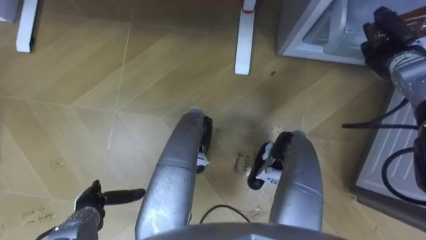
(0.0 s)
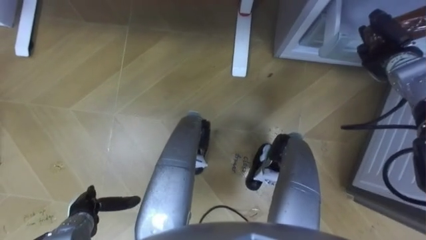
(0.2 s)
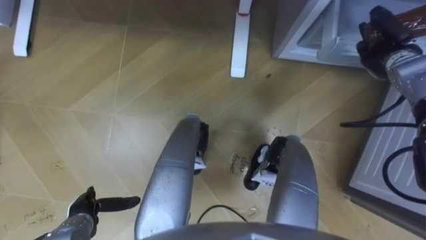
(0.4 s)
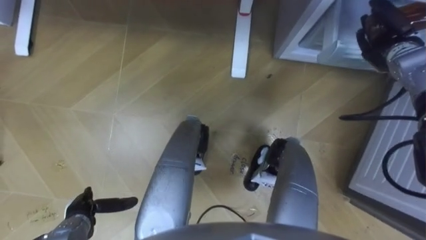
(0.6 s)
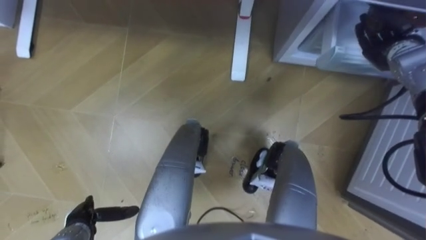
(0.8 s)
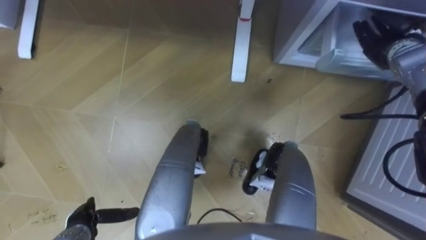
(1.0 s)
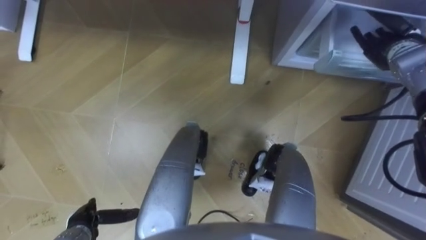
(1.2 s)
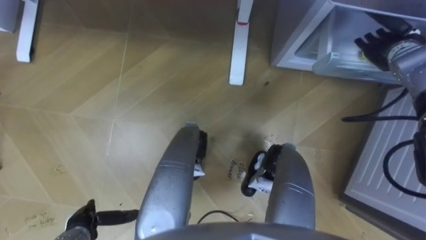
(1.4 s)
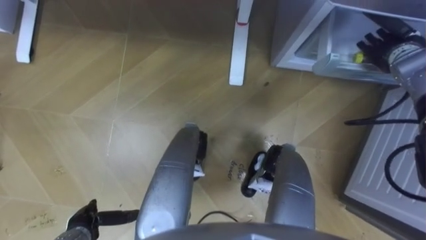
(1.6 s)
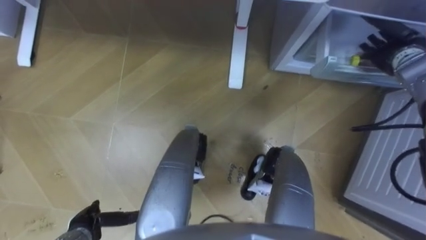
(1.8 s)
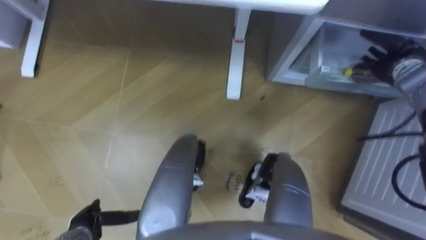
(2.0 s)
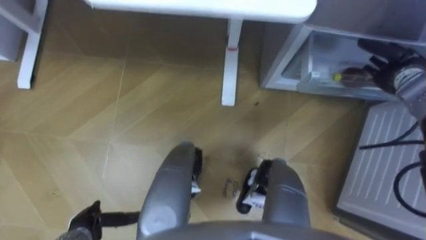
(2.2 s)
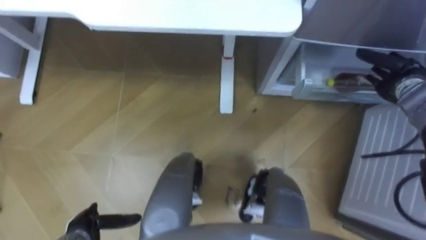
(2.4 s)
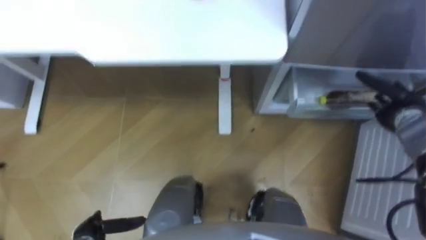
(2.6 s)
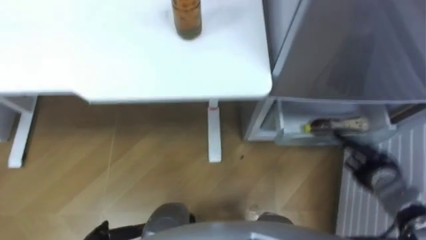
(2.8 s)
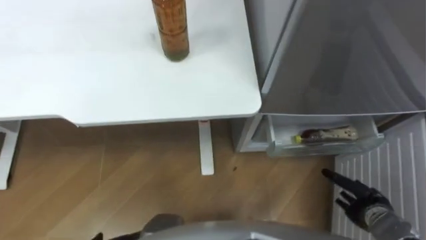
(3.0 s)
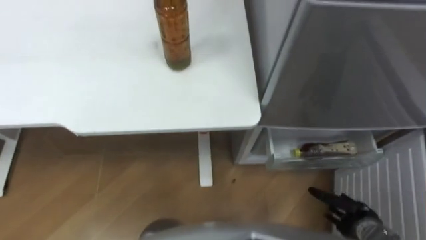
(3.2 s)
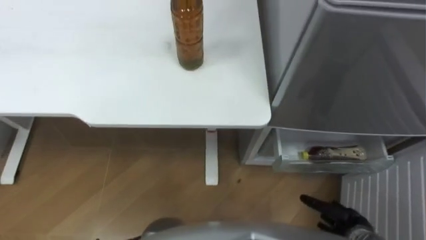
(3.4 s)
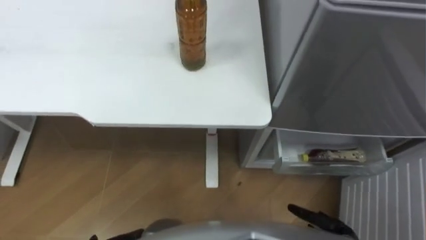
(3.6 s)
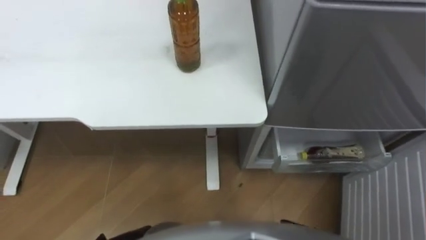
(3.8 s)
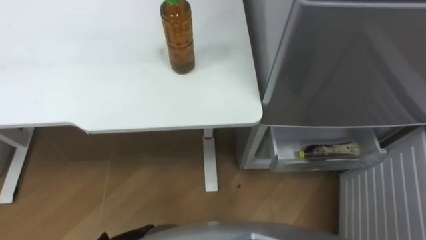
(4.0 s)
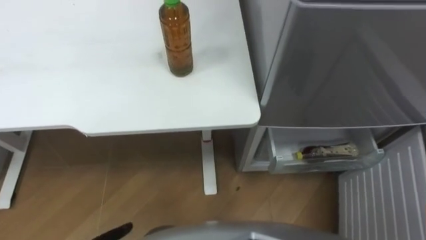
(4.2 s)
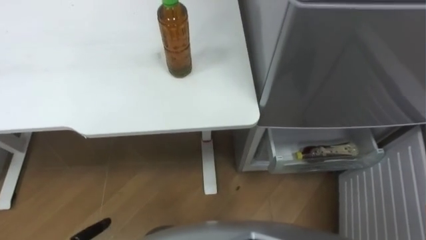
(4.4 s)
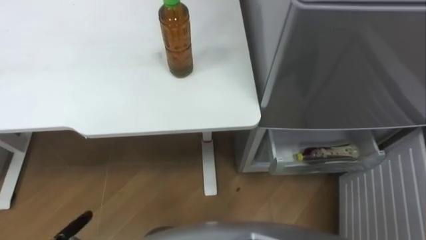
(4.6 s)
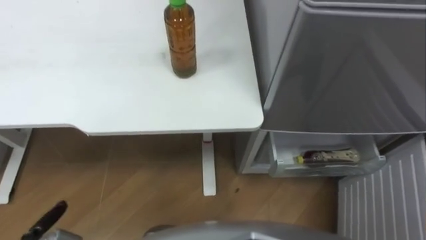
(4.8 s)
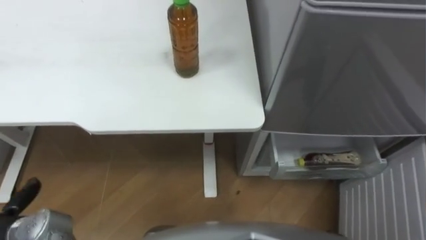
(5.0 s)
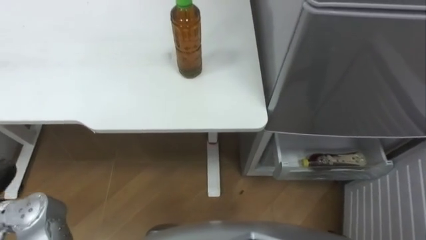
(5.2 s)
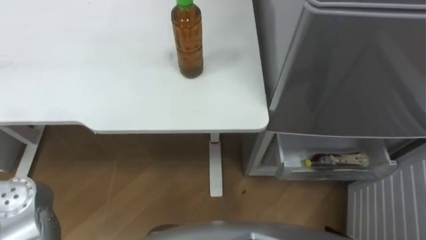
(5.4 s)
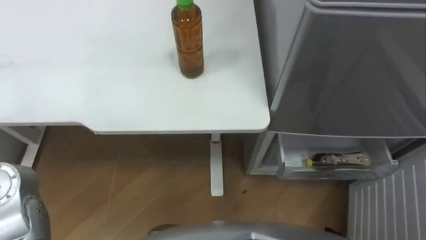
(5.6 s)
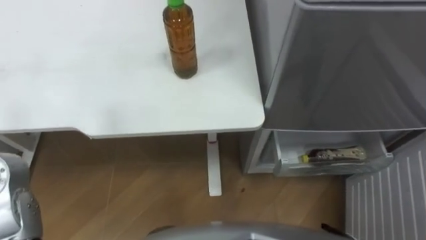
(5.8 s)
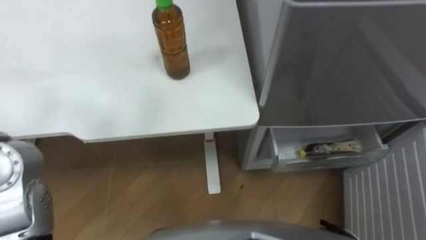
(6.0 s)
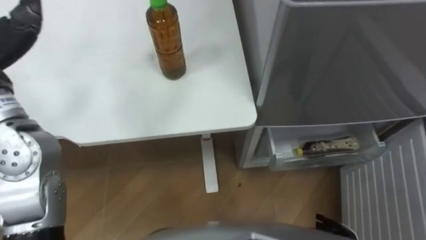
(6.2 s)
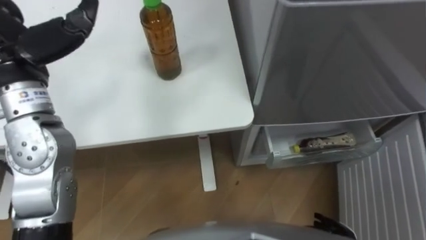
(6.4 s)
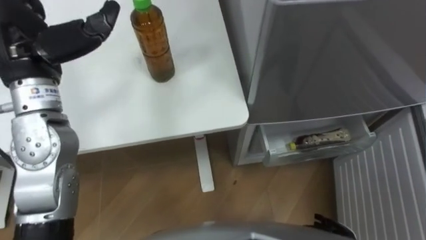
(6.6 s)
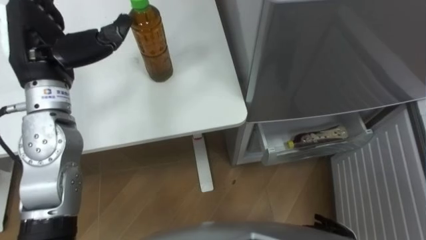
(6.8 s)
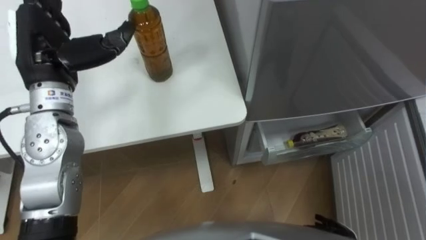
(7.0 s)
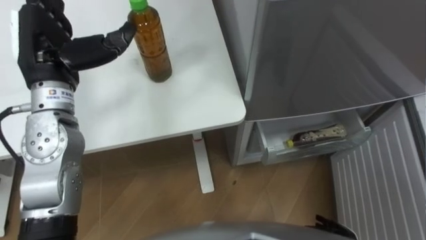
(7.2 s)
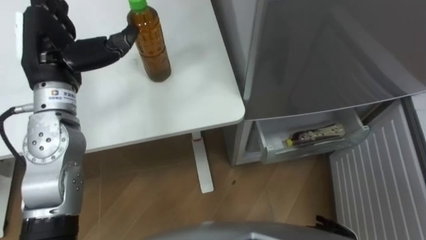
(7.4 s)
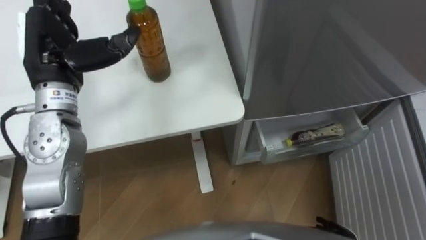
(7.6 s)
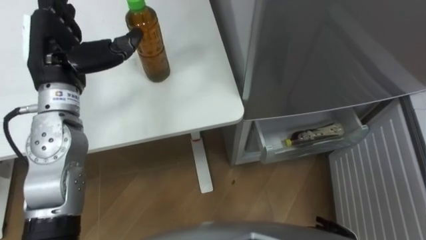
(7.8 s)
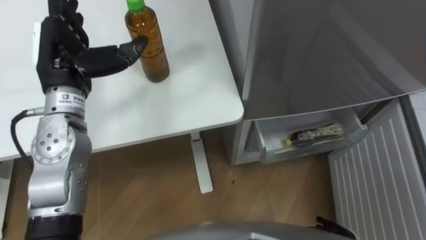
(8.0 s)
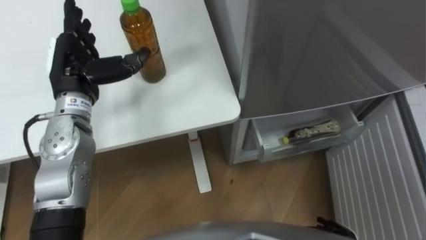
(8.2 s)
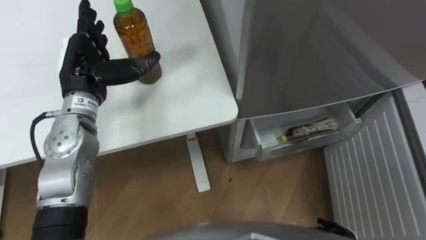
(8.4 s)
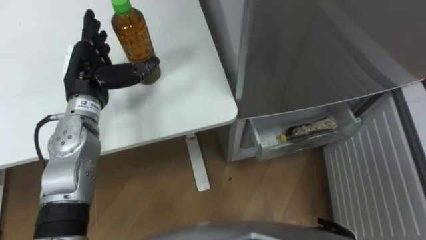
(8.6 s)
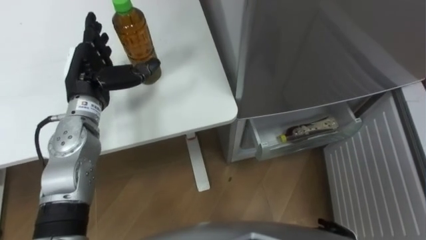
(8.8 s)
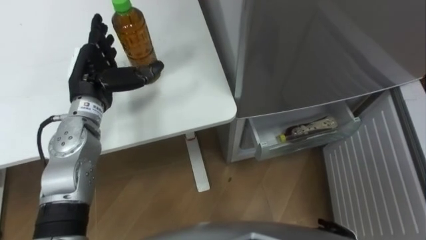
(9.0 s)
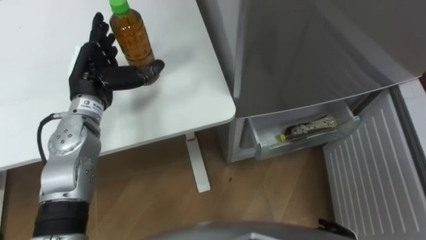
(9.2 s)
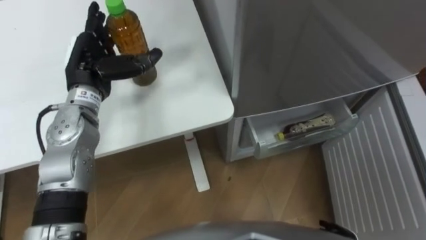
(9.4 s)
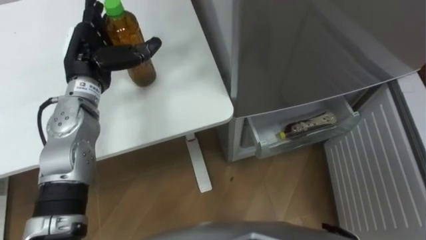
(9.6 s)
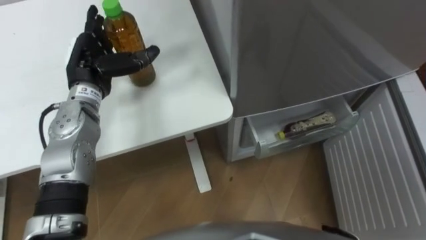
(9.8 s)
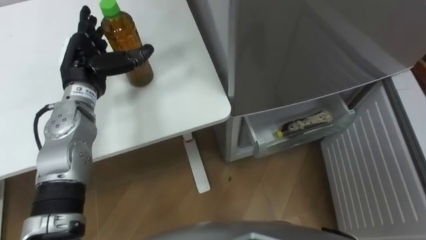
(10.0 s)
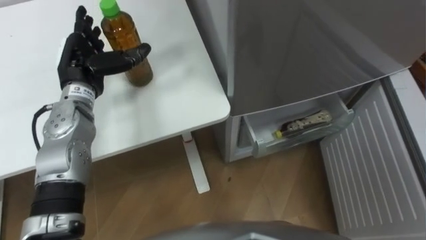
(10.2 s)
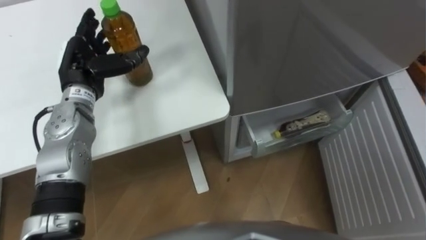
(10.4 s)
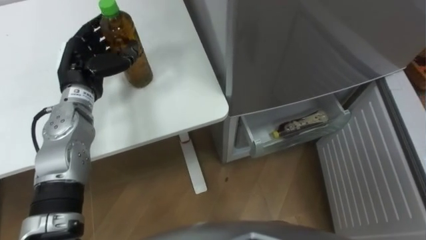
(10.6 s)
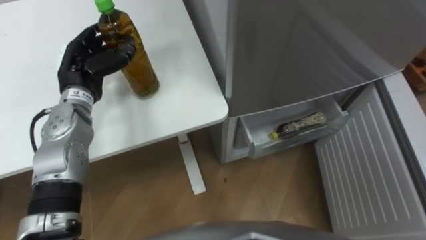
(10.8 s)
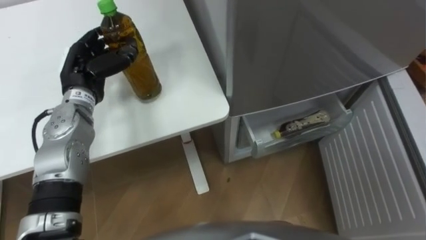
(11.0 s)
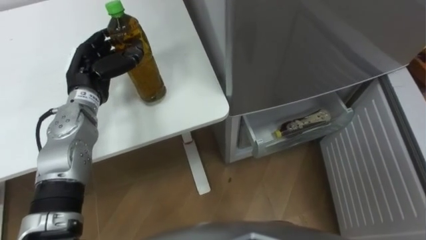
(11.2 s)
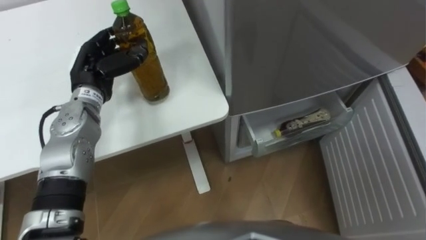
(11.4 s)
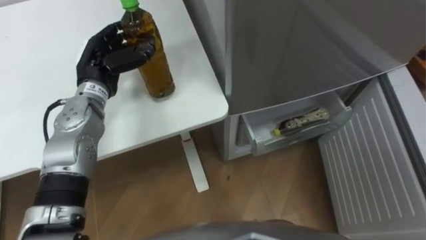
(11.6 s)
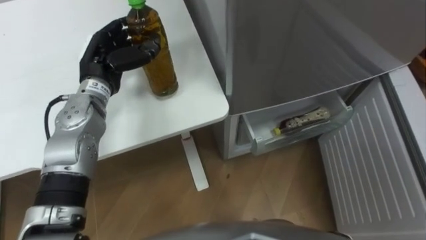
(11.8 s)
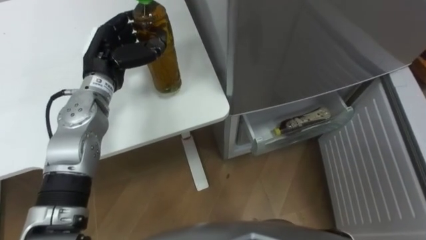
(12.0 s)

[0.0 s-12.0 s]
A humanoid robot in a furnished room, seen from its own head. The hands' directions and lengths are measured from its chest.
Task of the whole recording: Place the drink on the table on the bottom shelf of the refrigerator, then close the drawer and the refrigerator door.
0.0 to 1.6 s: The right hand opens up.
1.6 to 3.0 s: The right hand shifts roughly 35 cm backward and downward.
7.6 to 9.0 s: The left hand goes approximately 10 cm downward.
10.4 to 12.0 s: The left hand closes.

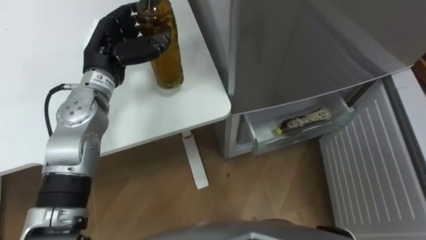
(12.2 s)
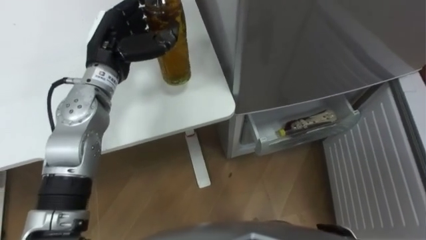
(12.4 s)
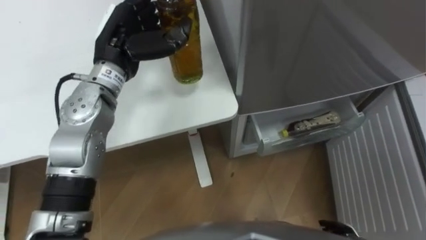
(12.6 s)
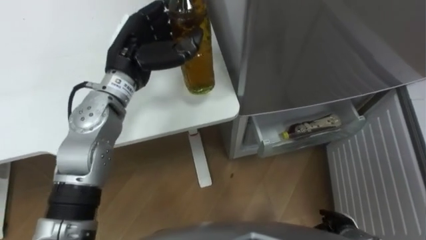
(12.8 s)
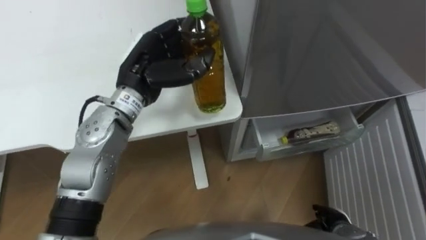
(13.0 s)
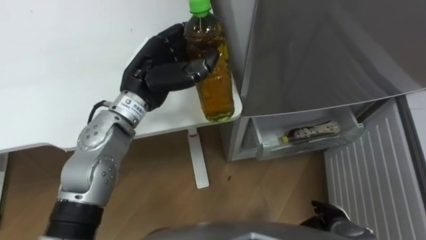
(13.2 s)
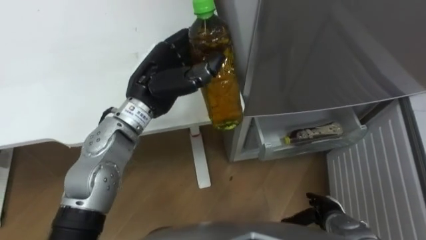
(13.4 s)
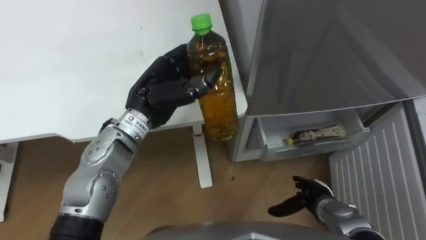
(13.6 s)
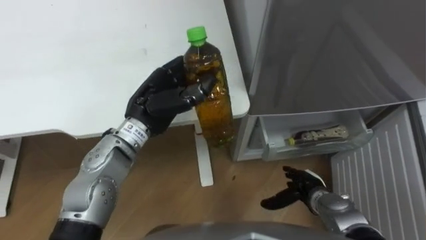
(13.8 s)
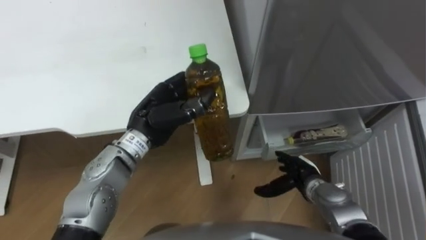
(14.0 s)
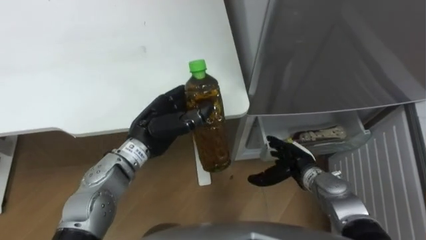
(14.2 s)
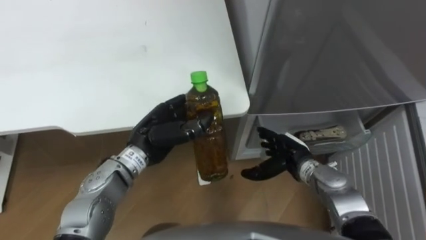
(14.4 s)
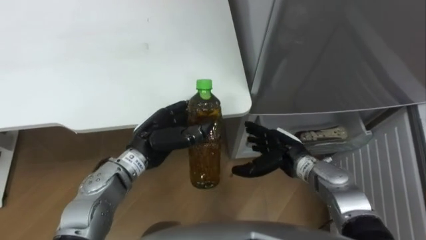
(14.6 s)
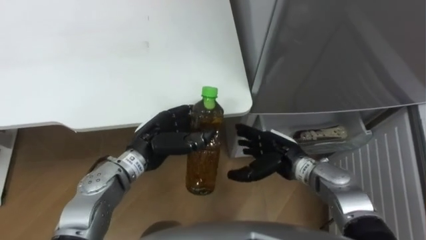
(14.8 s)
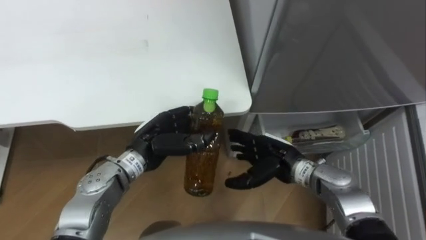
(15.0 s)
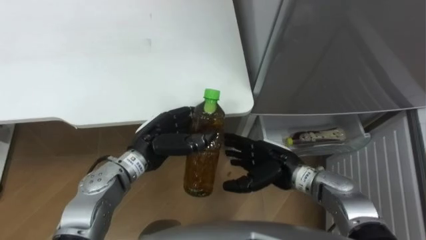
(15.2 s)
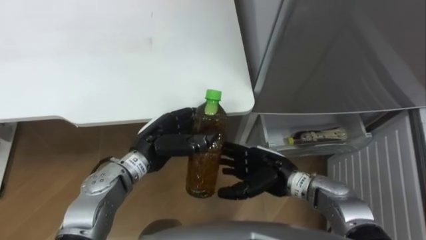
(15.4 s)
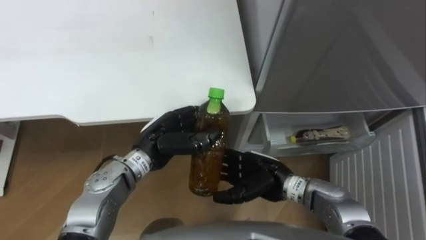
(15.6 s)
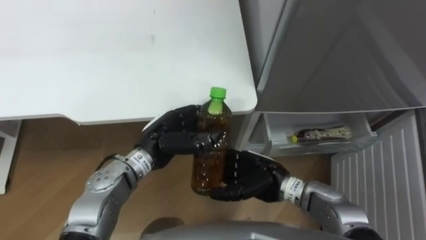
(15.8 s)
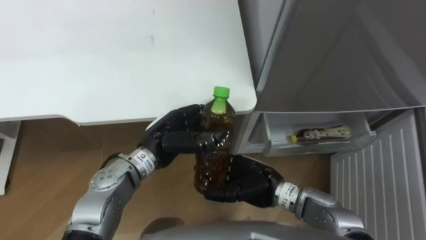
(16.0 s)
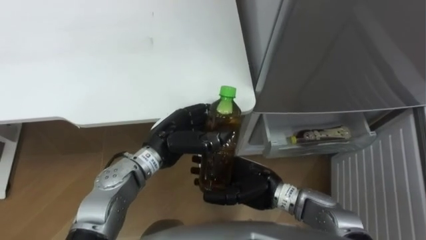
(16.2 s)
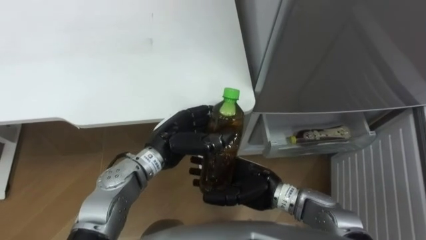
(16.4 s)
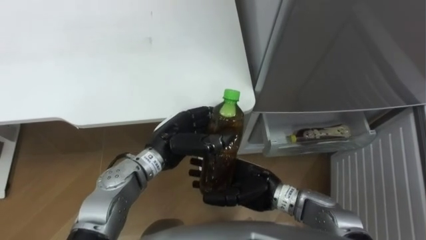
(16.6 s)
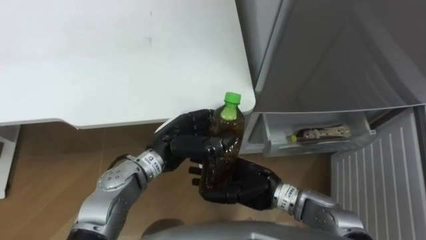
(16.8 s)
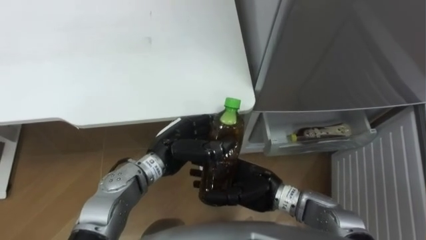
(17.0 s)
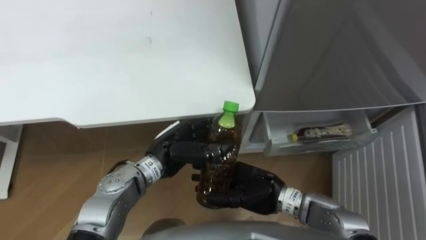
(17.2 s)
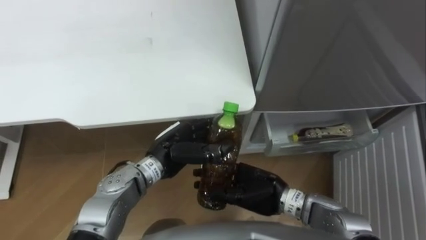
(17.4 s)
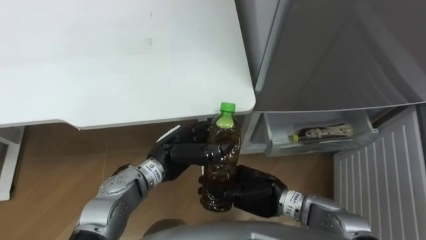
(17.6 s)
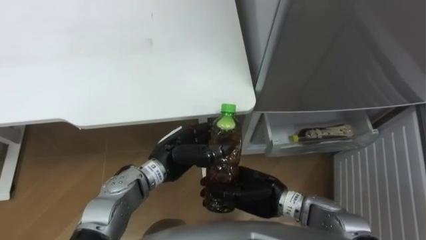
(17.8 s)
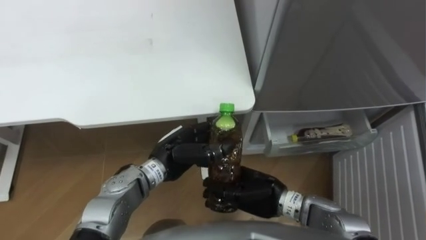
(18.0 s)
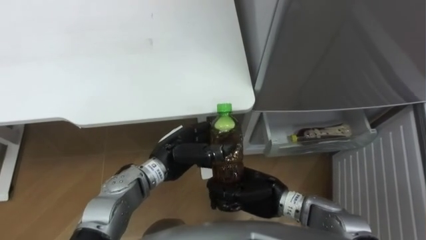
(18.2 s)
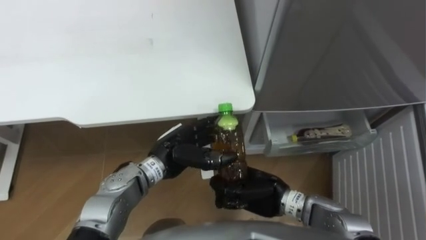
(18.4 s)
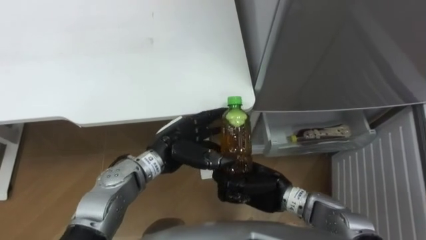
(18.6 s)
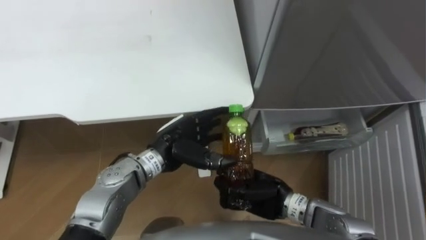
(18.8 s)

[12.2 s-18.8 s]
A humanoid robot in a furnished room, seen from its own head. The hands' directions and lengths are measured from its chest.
Task of the whole recording: Place the drink on the table on the bottom shelf of the refrigerator, then close the drawer and the refrigerator door.
12.2 to 13.8 s: The left hand is displaced to the right and backward by about 10 cm.
13.8 to 15.4 s: The right hand travels to the left and upward by some 15 cm, while the left hand goes some 10 cm downward.
17.2 to 18.8 s: The right hand closes up; the left hand opens up.
